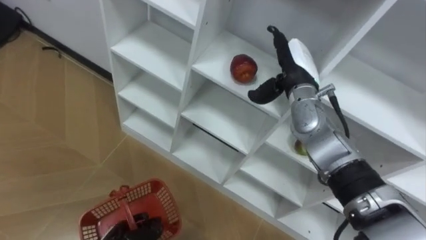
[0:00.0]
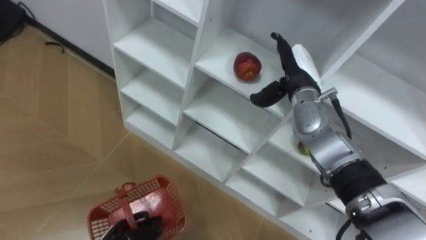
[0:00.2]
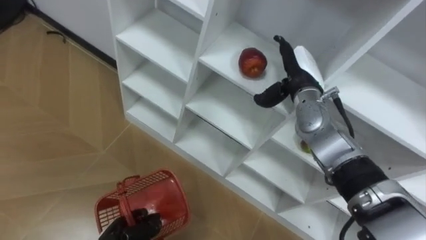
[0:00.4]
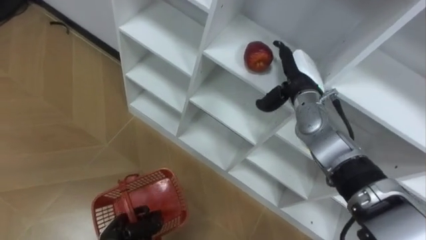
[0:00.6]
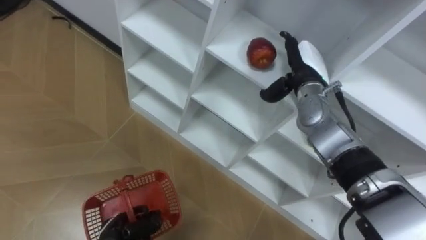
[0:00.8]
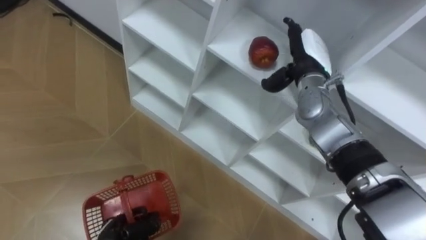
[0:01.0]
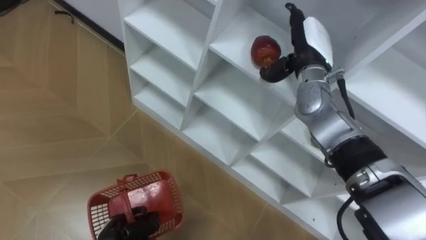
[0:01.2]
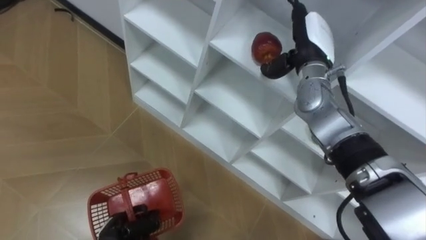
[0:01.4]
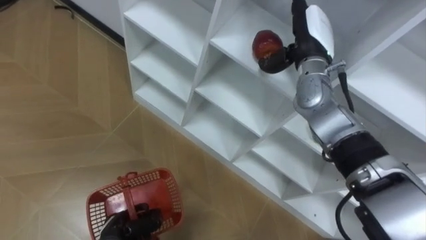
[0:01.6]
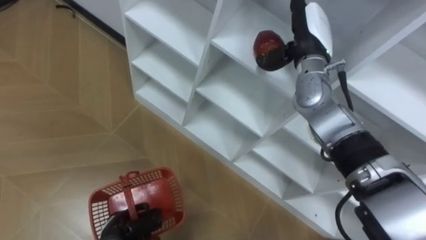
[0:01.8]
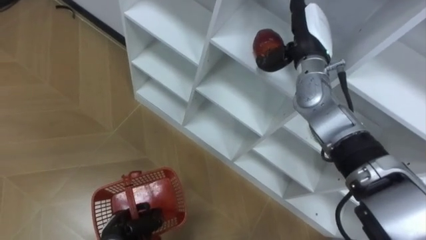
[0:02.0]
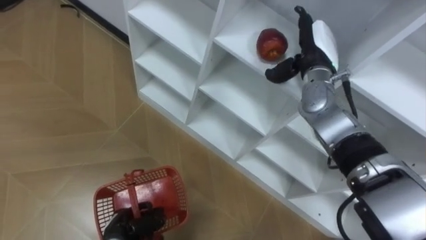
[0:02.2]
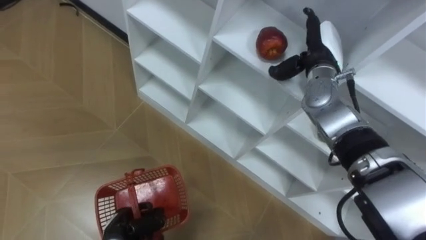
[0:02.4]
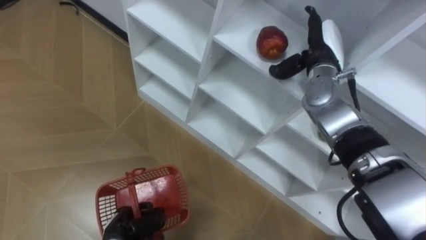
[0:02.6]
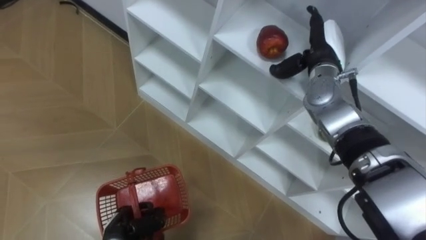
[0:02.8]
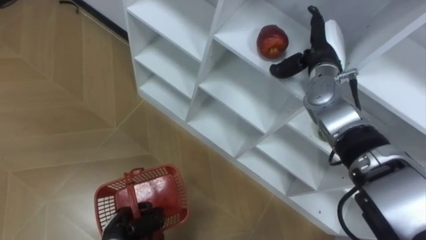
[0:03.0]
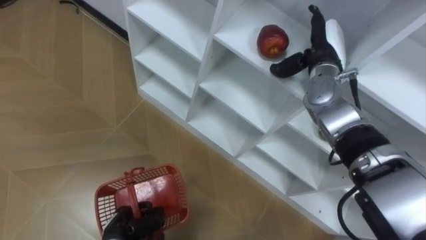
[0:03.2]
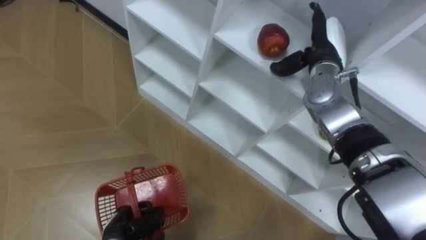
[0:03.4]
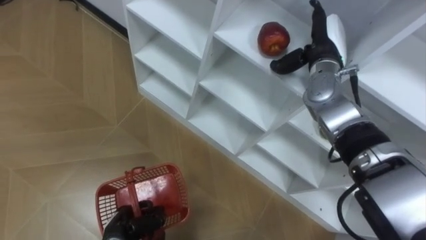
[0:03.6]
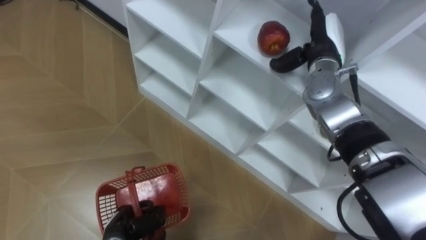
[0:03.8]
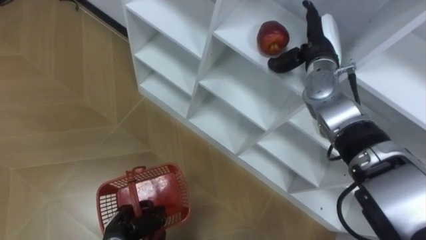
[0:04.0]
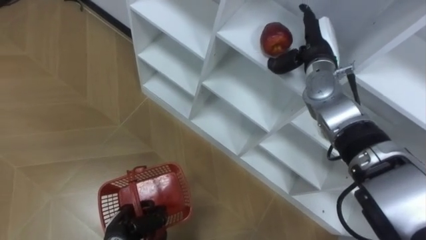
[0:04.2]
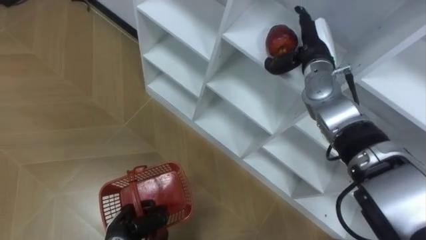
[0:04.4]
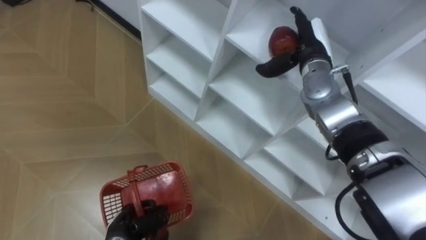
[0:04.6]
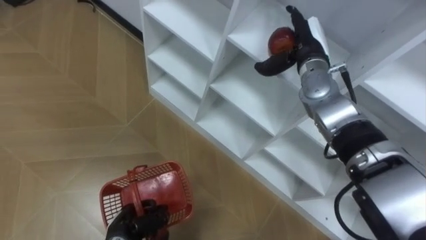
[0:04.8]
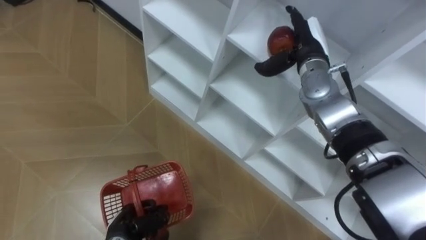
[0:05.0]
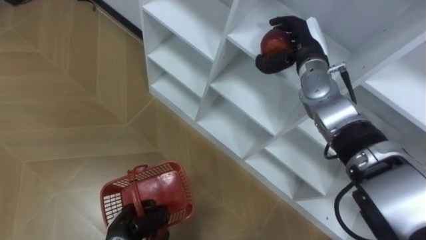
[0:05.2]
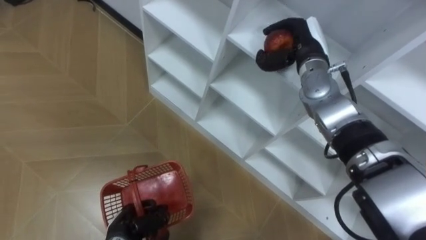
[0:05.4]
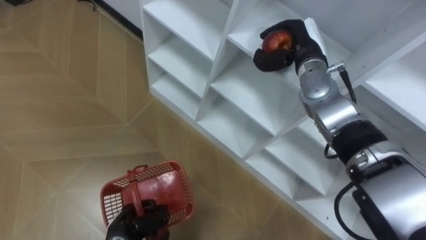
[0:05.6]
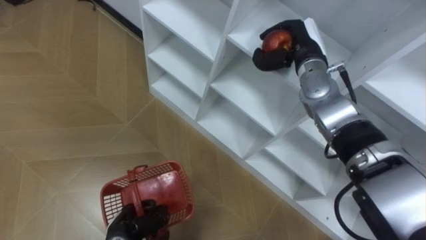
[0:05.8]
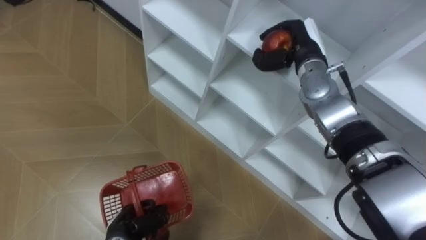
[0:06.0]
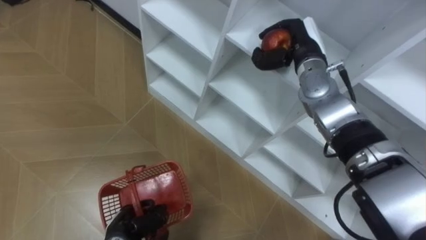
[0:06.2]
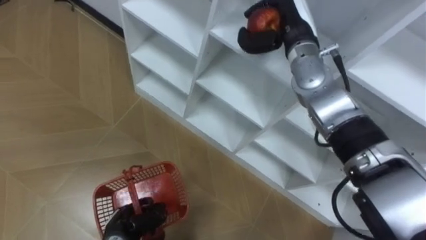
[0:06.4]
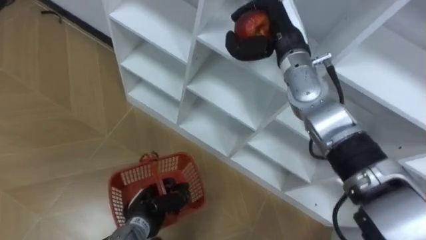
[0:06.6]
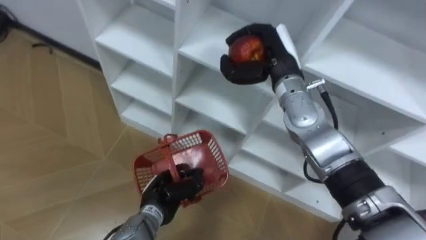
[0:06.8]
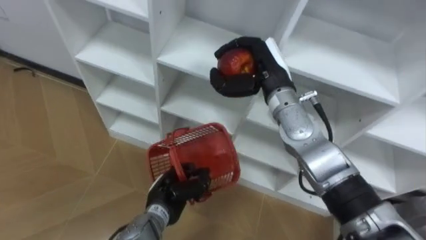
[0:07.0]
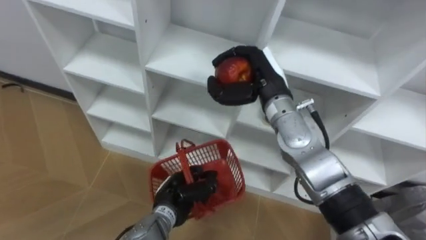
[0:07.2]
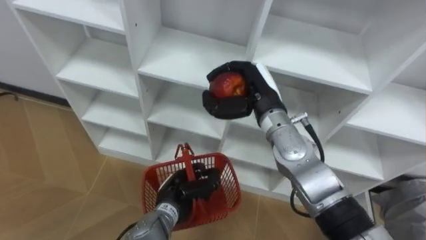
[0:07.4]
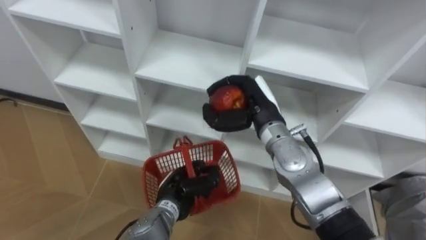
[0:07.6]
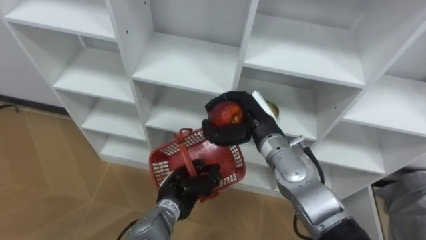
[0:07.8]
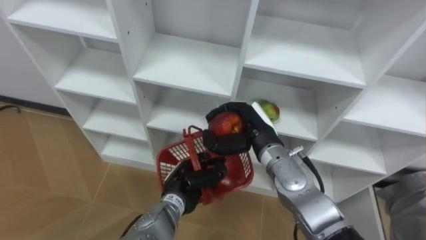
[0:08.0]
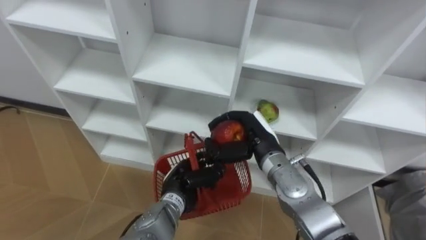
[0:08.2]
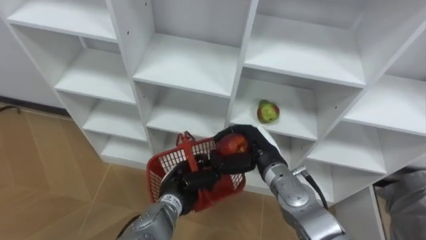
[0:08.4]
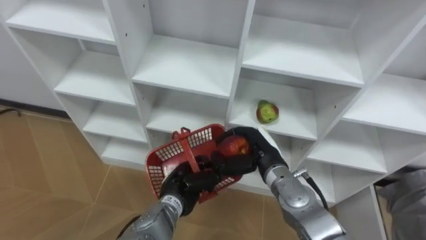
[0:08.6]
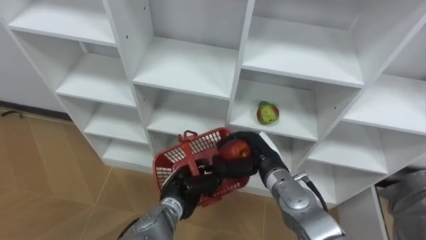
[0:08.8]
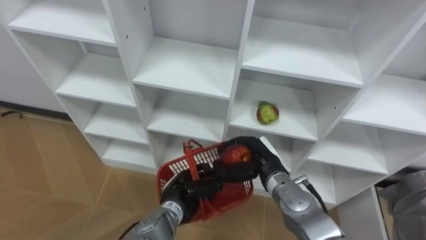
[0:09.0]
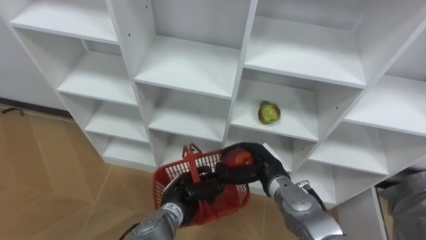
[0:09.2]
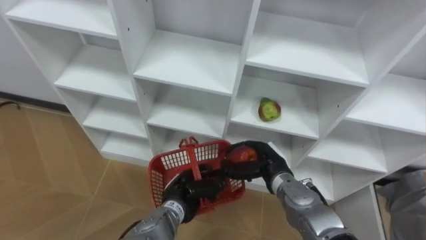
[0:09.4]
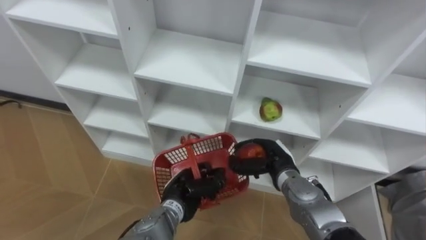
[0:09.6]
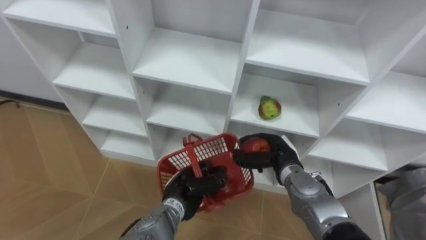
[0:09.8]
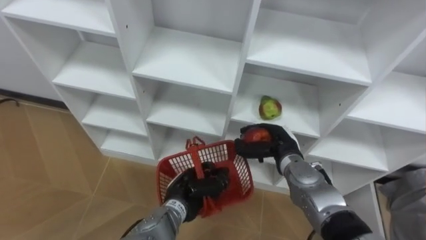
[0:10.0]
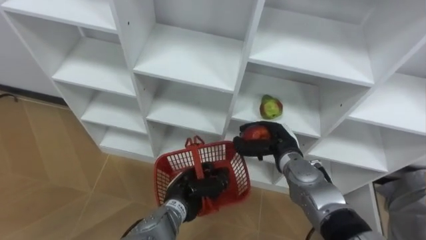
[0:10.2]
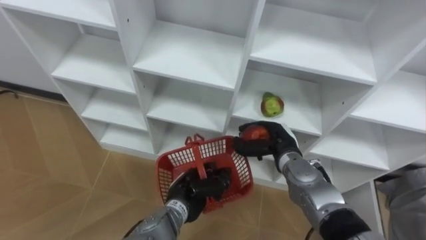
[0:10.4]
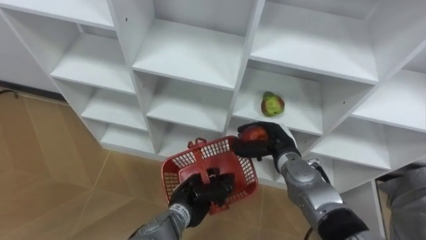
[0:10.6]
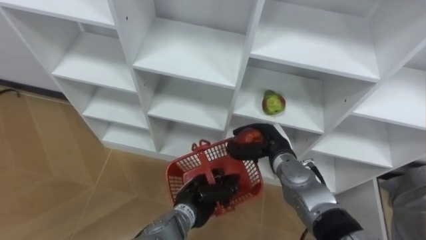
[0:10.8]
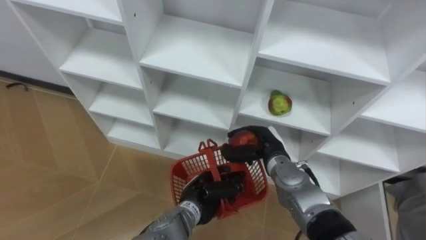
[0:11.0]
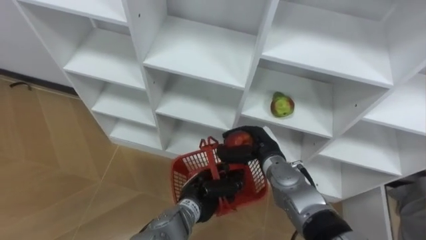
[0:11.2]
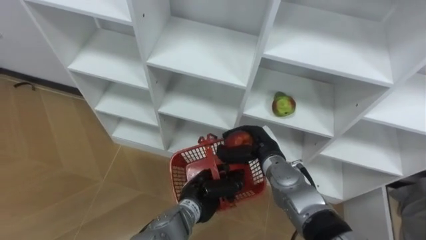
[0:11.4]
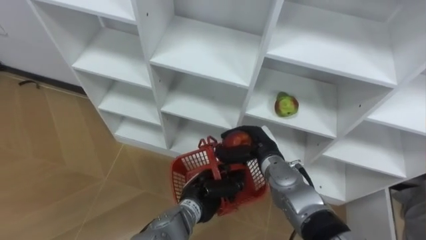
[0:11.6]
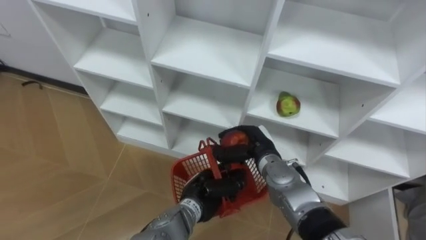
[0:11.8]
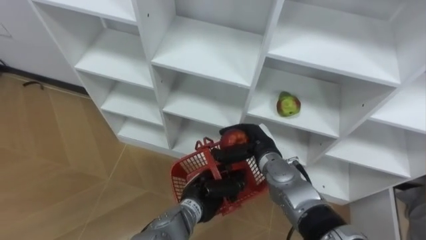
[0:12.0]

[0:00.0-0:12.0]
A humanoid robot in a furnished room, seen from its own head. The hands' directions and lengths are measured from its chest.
Task of the whole recording: Hold the basket and collect the fruits from 3 different cells of the closet into it.
0:00.0 to 0:01.6: The right hand ends up some 5 cm from where it was.
0:04.4 to 0:06.0: The right hand closes up.
0:06.0 to 0:07.6: The left hand heads to the right, upward and forward, covering roughly 15 cm. Meanwhile the right hand is displaced backward, to the left and downward by roughly 15 cm.
0:07.6 to 0:09.0: The right hand travels downward and backward by about 10 cm.
0:09.0 to 0:10.4: The right hand moves roughly 5 cm.

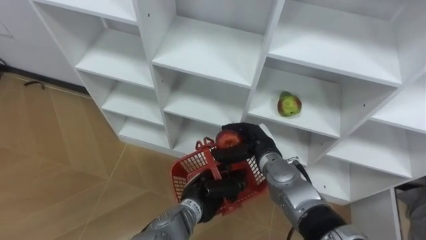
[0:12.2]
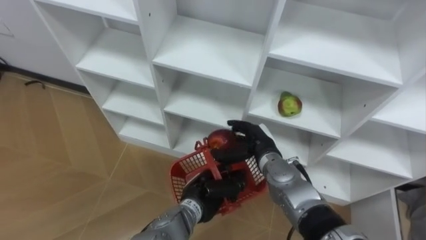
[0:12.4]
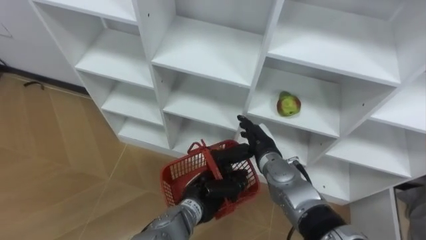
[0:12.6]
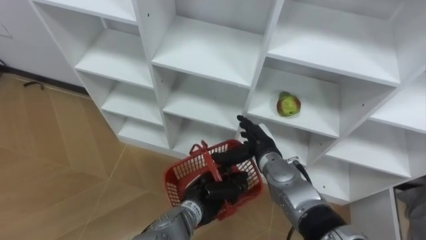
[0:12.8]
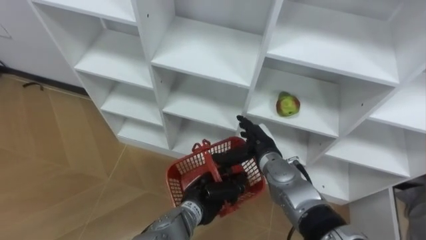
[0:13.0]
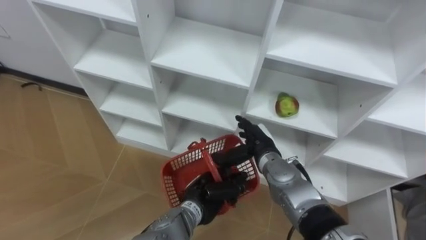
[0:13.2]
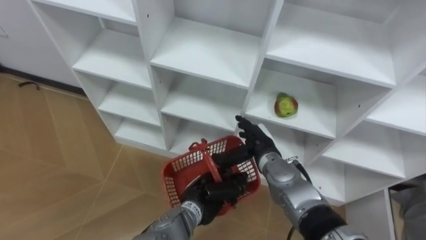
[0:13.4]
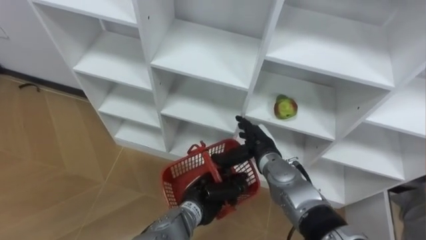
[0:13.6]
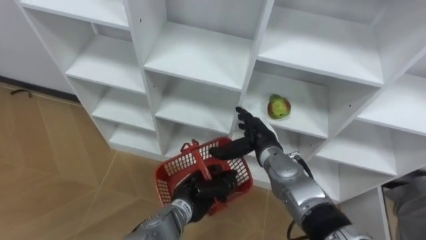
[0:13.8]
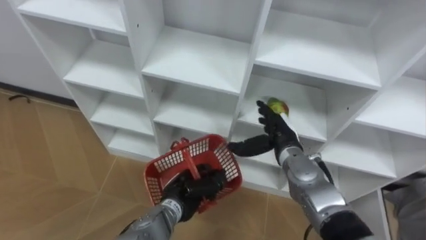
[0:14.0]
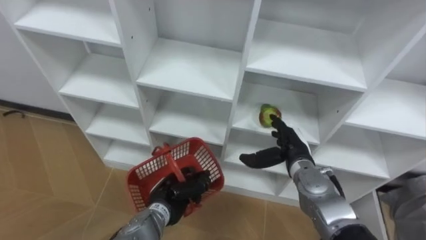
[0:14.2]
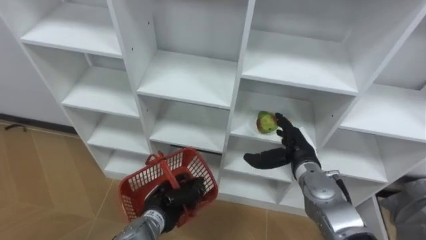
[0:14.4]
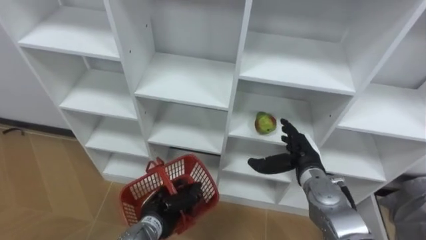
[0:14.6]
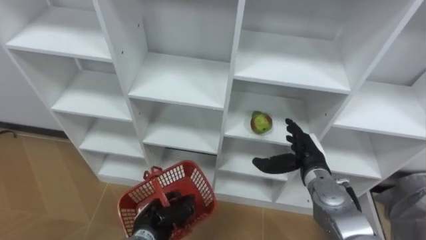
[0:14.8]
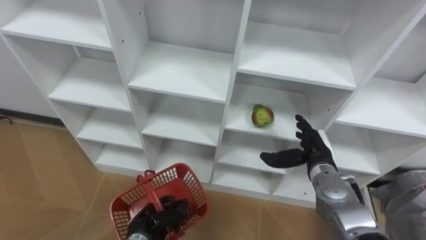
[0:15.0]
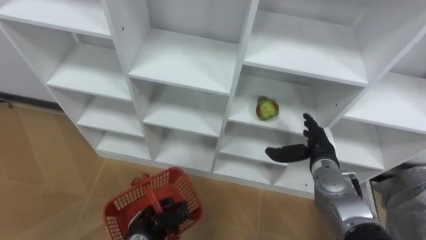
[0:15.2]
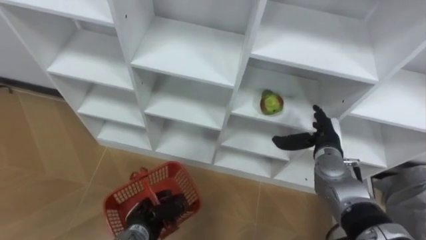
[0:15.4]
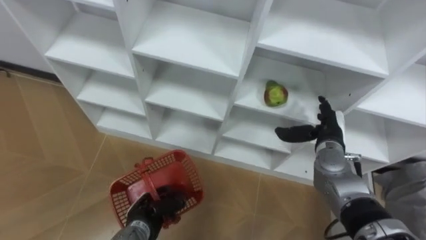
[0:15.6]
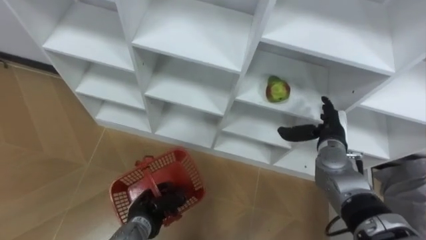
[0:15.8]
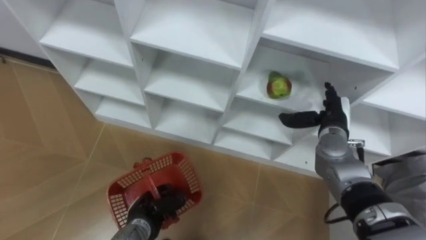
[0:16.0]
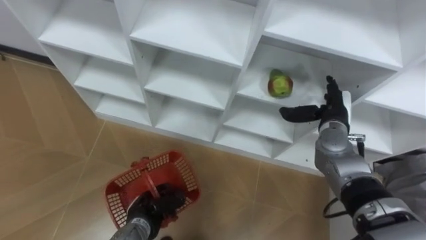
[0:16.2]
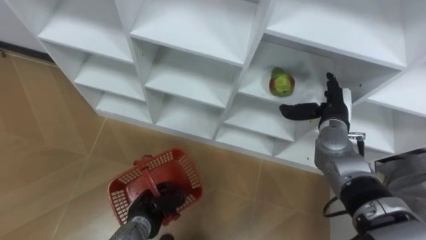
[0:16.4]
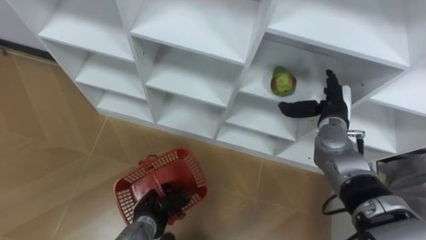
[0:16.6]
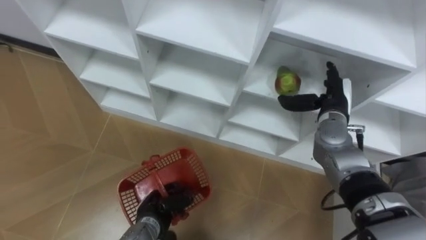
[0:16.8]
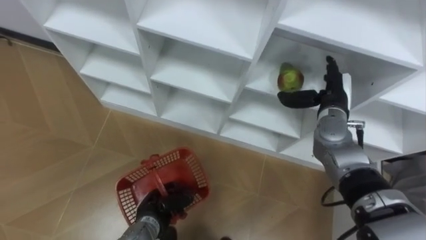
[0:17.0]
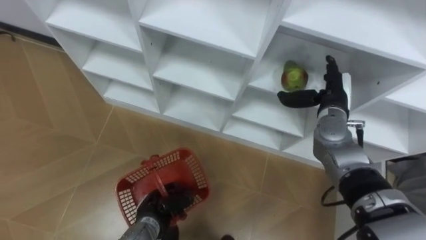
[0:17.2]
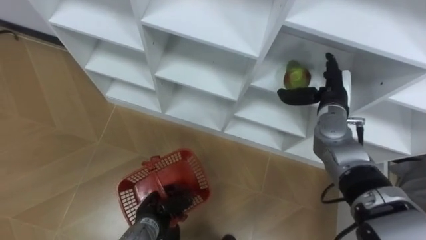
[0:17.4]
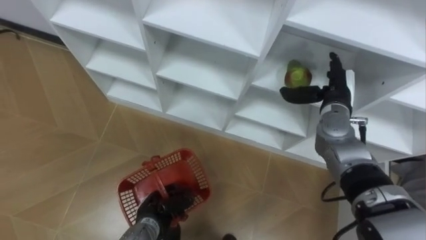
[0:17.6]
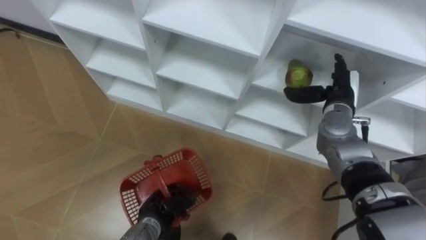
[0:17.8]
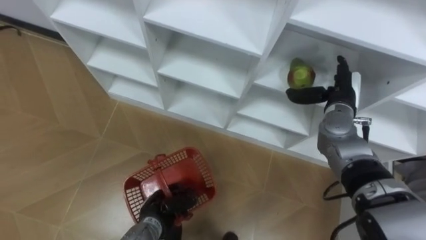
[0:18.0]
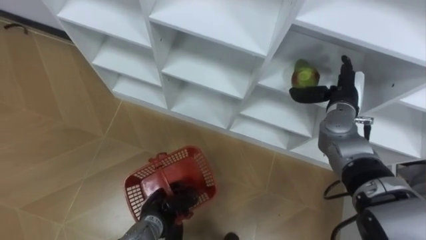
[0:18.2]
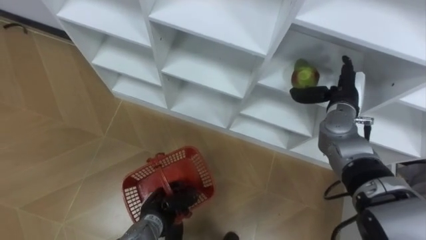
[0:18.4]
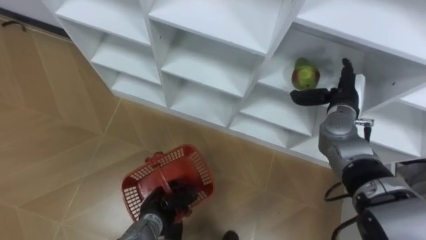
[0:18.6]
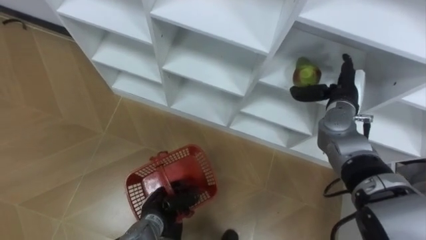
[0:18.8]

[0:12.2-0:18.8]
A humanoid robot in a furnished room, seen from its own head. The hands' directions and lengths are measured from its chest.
Task of the whole recording: Hold the basket and collect the fruits from 3 different cells of the closet into it.
0:12.2 to 0:13.8: The right hand opens its fingers.
0:13.8 to 0:15.4: The right hand moves to the right, approximately 15 cm. The left hand heads to the left and downward, covering some 10 cm.
0:15.4 to 0:17.2: The right hand shifts roughly 10 cm upward and forward.
